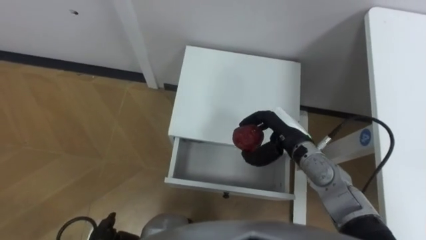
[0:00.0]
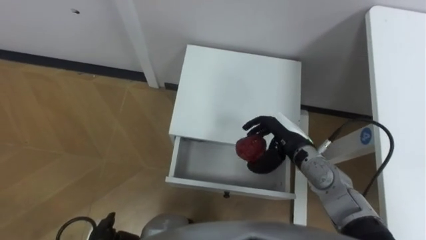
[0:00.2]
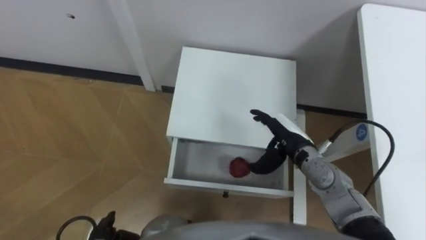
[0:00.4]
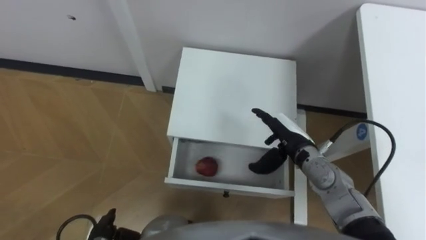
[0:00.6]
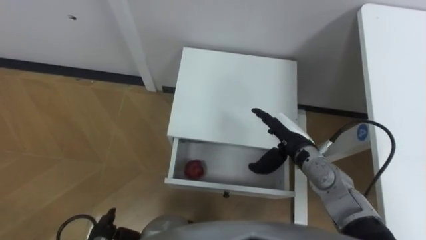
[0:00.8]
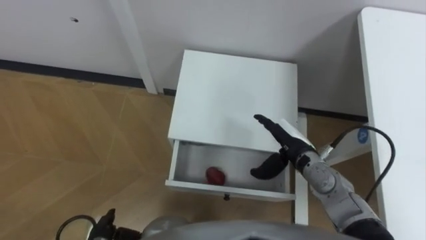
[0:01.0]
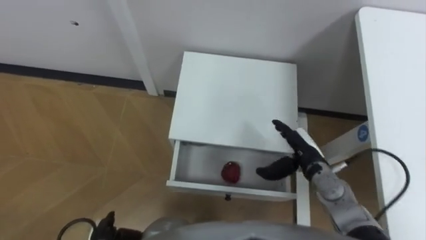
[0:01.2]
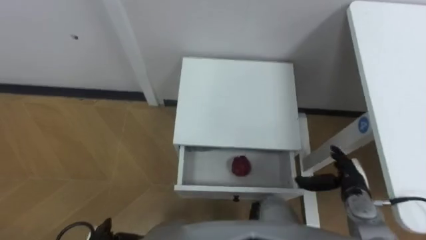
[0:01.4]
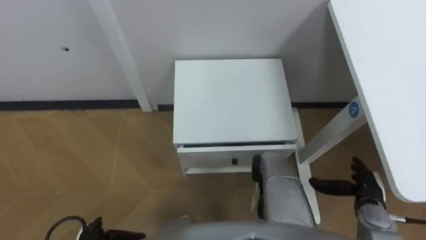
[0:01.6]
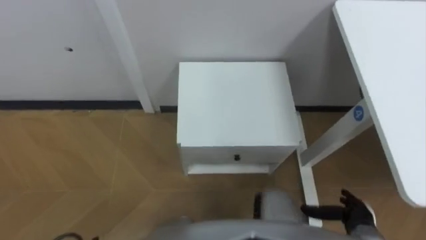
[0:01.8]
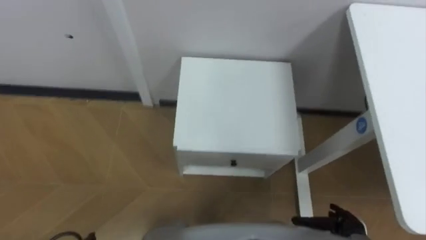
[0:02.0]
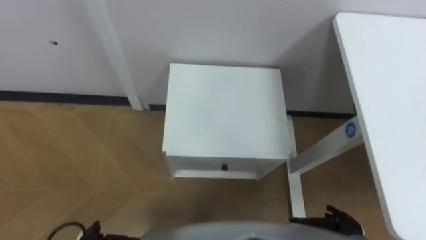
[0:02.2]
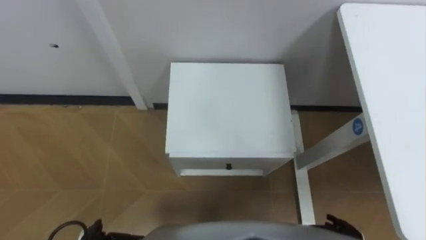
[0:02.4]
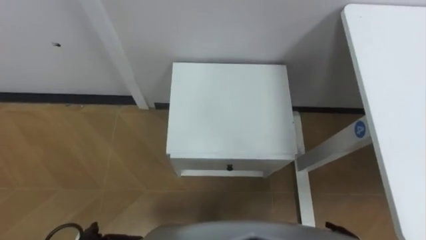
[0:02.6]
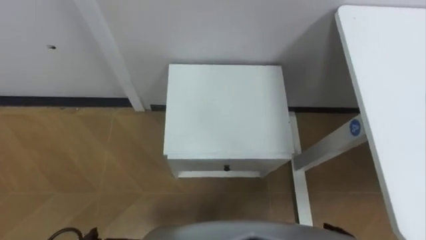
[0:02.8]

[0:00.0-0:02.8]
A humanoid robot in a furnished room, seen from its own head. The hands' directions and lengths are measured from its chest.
Task of the whole recording: Pick up the apple from the table, put it in the drawer, and close the drawer with leg.
0:00.0 to 0:01.4: The right hand shifts about 20 cm to the right, backward and downward, and opens its fingers.

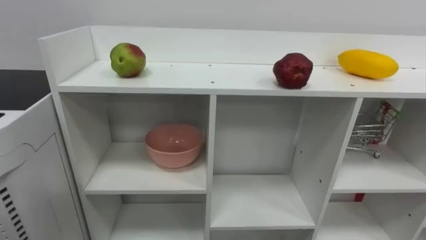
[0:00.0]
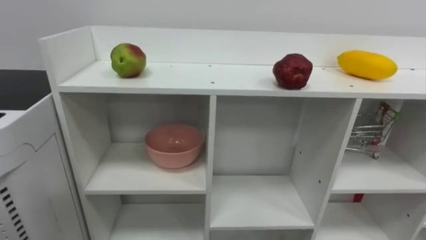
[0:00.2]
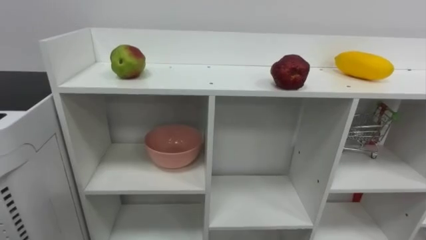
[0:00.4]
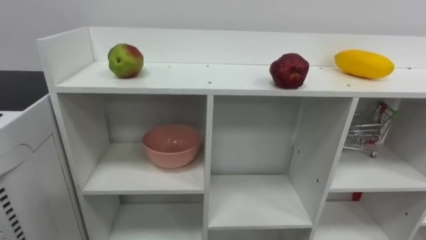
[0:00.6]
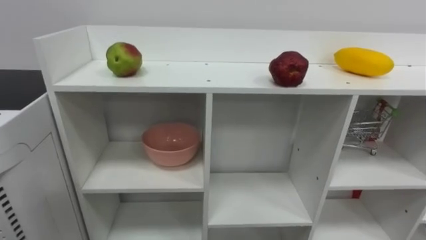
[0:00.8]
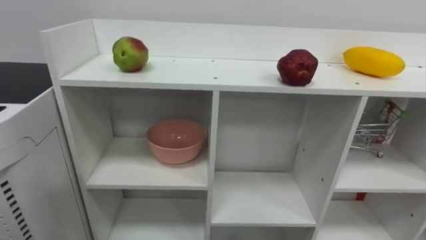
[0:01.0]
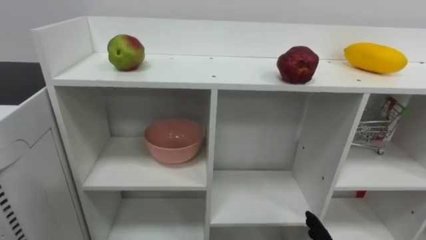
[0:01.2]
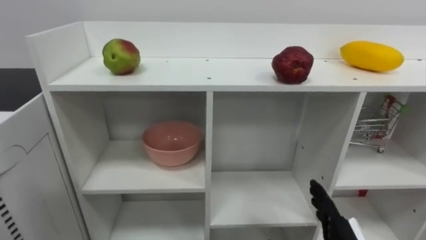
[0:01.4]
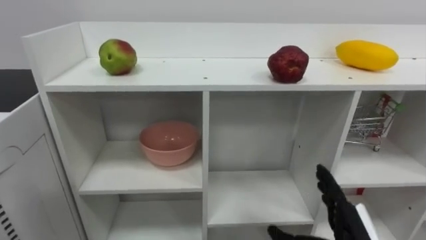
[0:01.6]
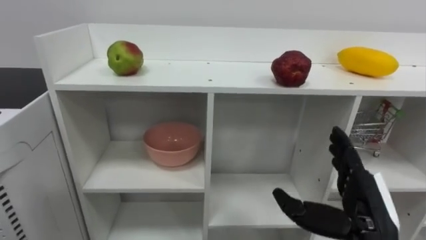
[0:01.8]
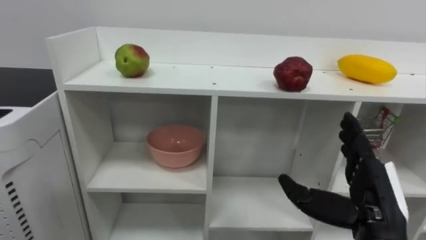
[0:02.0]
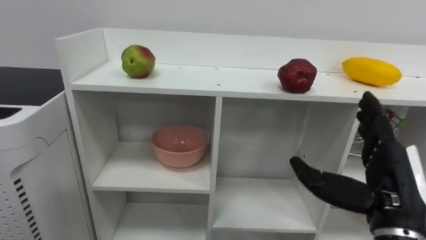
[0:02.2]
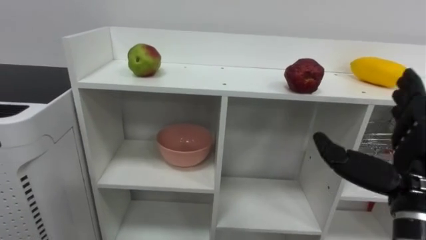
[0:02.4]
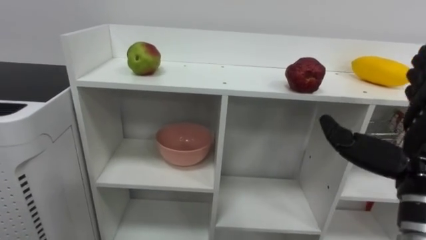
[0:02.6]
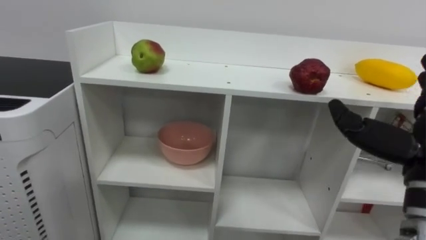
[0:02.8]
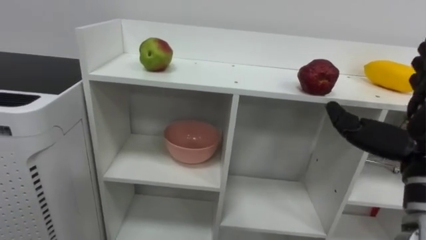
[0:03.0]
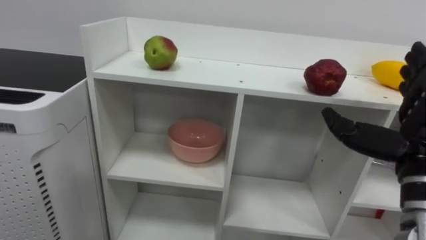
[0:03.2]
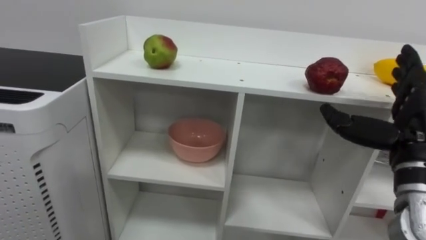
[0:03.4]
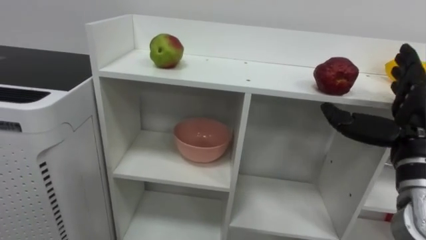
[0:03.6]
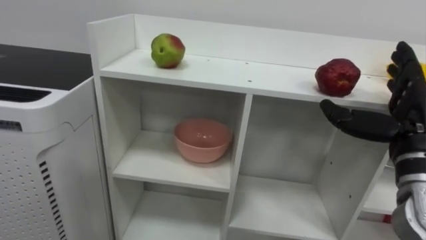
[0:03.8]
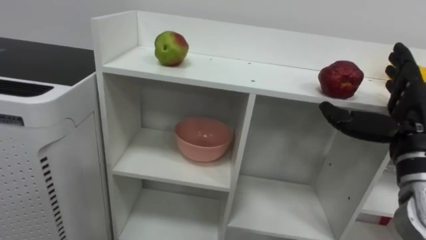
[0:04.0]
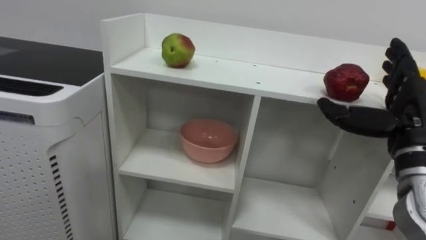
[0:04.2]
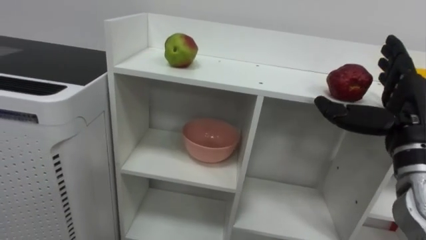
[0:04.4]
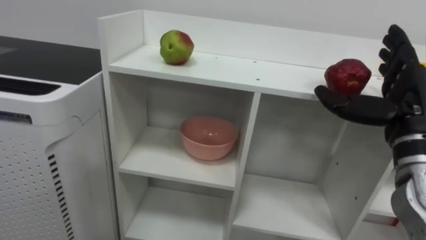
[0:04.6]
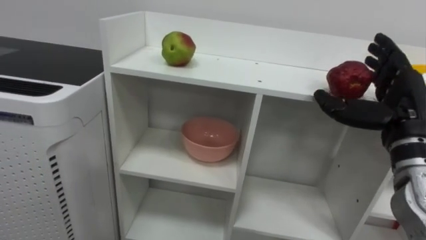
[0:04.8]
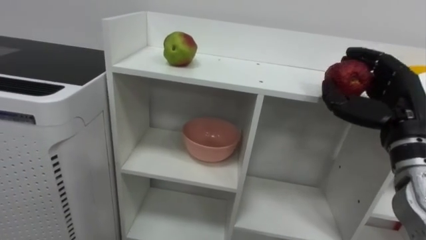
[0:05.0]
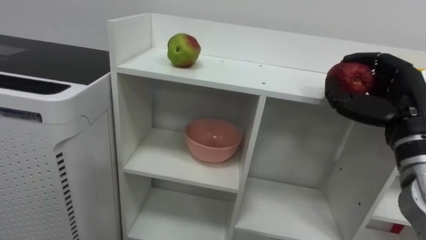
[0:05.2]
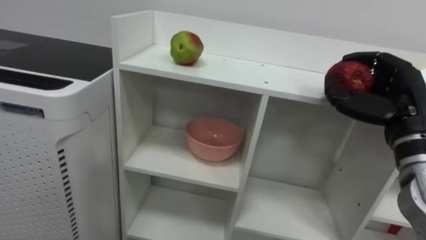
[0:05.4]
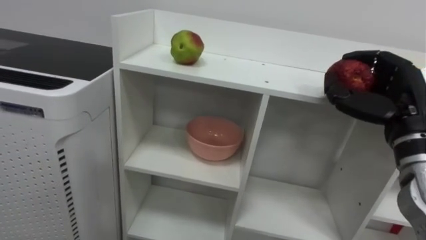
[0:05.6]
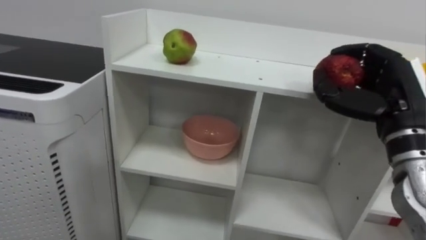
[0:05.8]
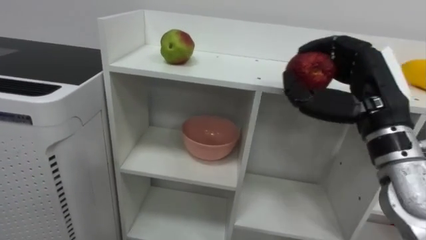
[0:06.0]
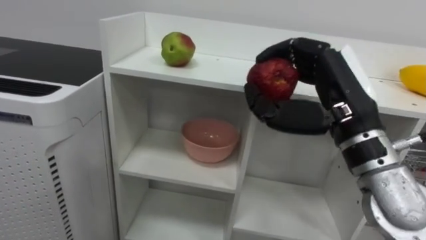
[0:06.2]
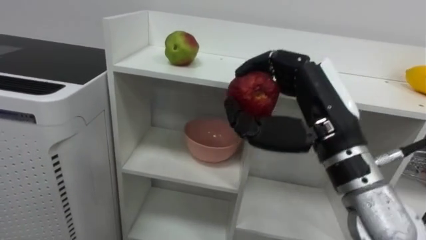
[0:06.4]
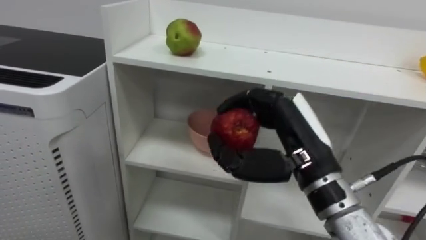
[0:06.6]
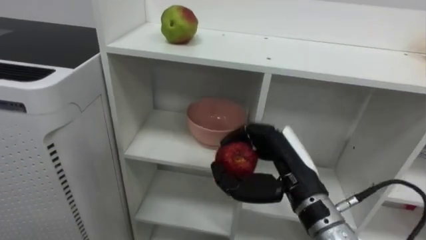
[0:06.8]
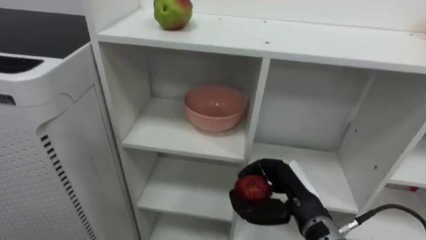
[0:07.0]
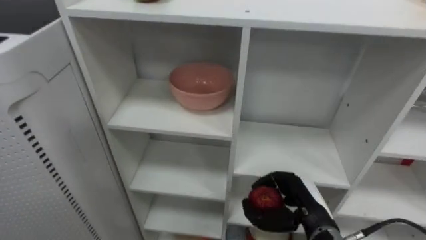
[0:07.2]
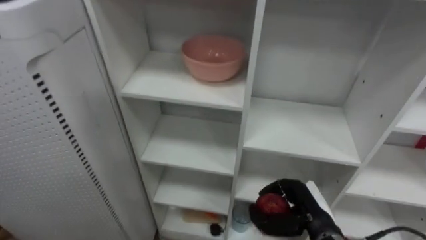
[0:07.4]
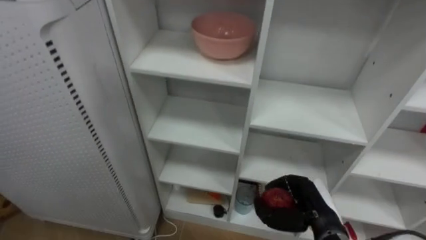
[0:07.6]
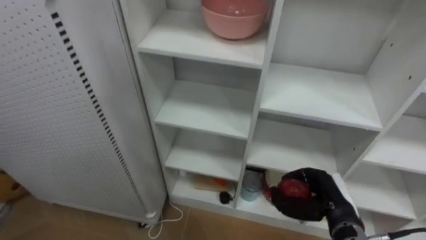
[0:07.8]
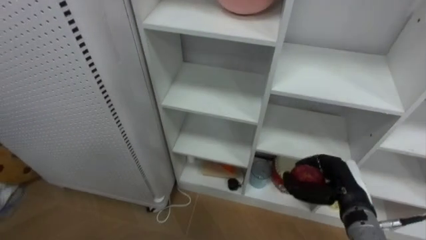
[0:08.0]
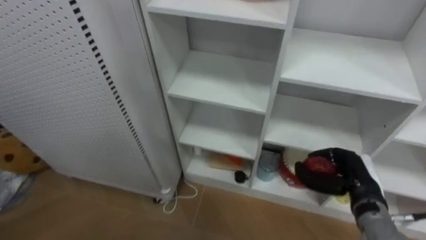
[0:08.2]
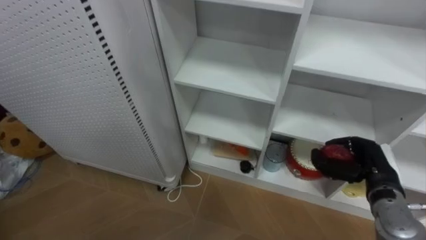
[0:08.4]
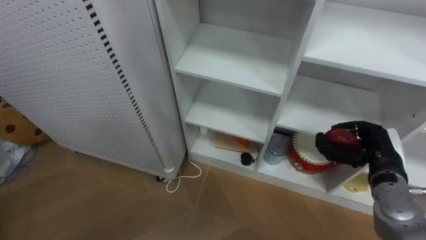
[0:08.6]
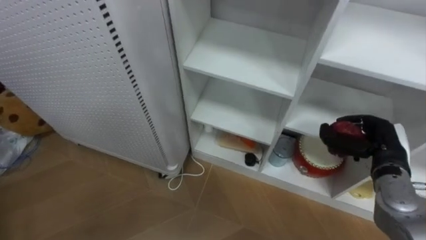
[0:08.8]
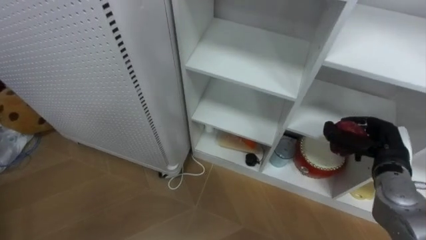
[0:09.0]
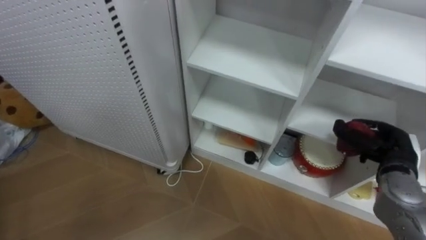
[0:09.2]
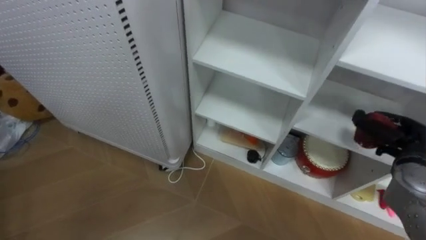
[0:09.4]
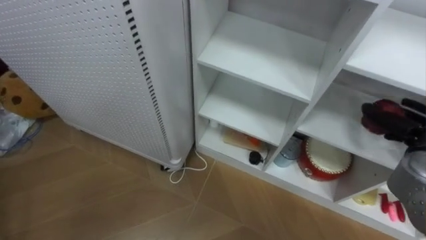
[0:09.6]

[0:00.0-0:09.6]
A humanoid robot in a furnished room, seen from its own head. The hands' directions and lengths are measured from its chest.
Task of the whole recording: Put the apple in the cell in the second column from the left and the second row from the top.
0:03.2 to 0:04.8: The right hand heads forward, covering about 5 cm.
0:04.8 to 0:06.4: The right hand shifts about 15 cm to the left, and closes its fingers.
0:06.4 to 0:08.0: The right hand is displaced downward and to the right by some 25 cm.
0:08.0 to 0:09.6: The right hand heads to the right and upward, covering about 15 cm.

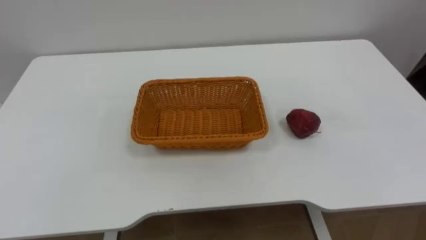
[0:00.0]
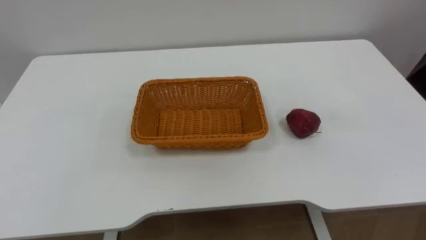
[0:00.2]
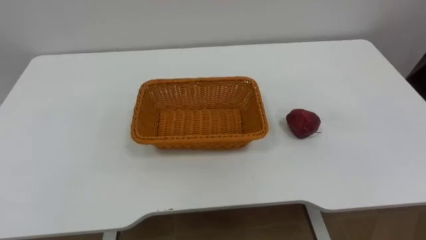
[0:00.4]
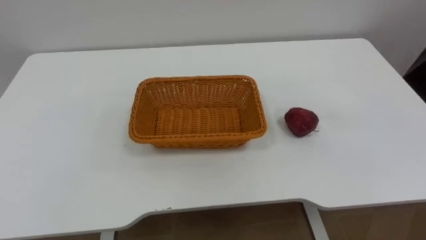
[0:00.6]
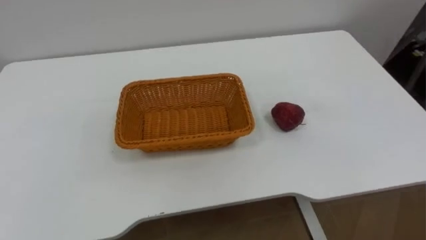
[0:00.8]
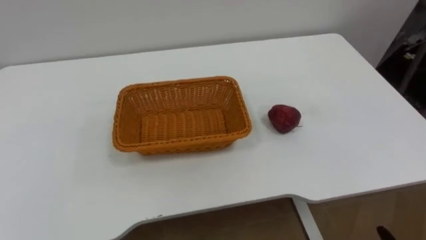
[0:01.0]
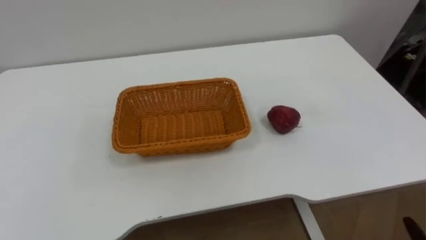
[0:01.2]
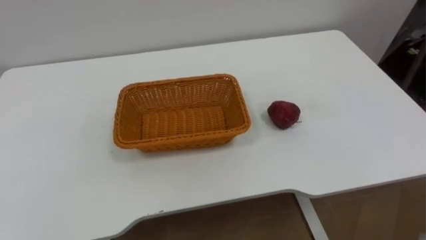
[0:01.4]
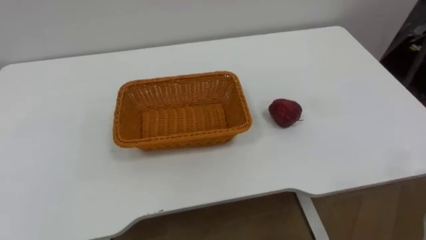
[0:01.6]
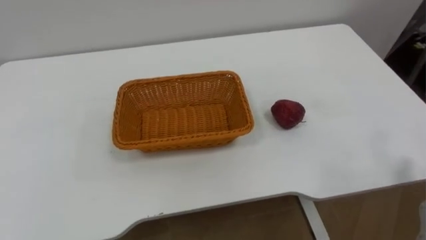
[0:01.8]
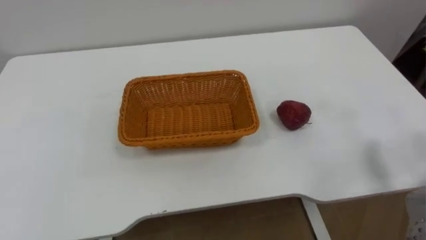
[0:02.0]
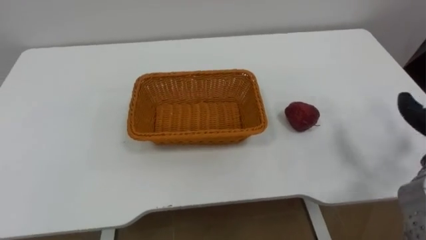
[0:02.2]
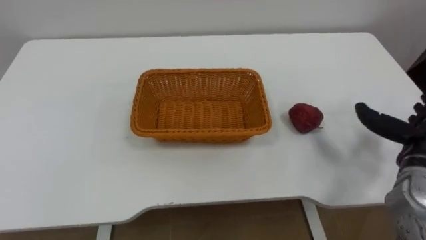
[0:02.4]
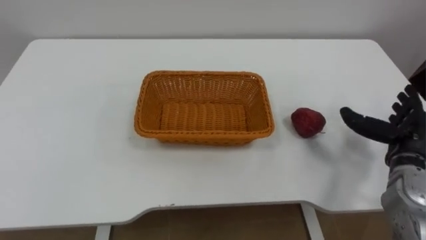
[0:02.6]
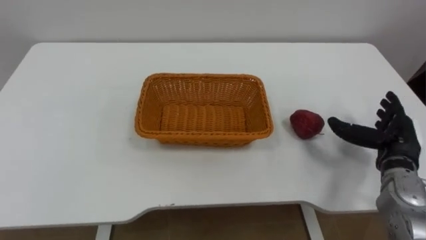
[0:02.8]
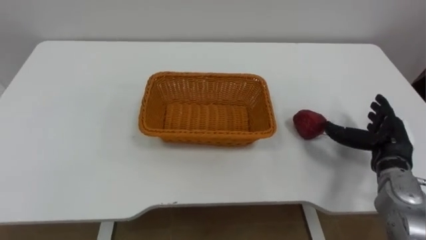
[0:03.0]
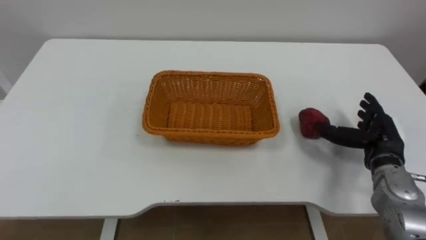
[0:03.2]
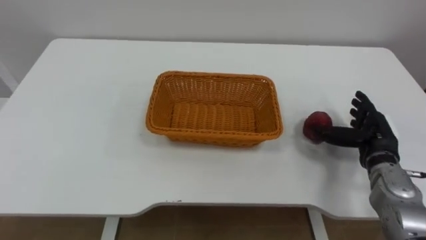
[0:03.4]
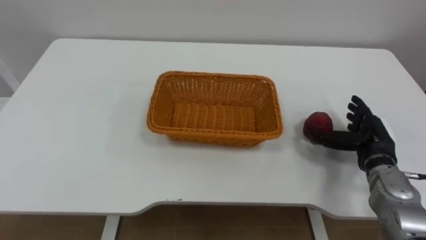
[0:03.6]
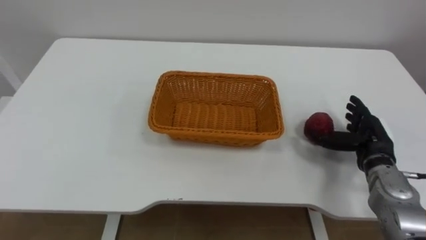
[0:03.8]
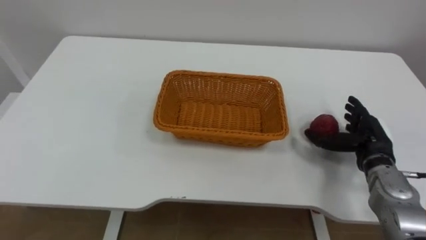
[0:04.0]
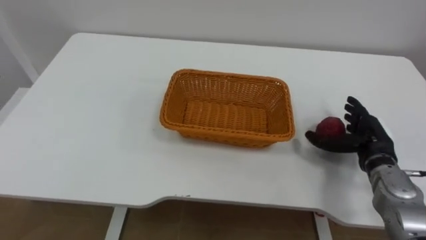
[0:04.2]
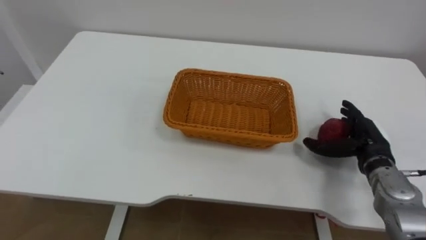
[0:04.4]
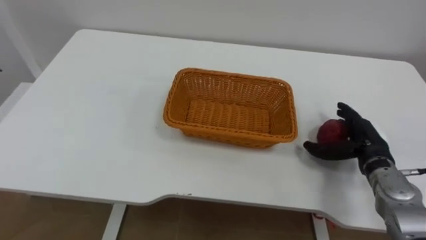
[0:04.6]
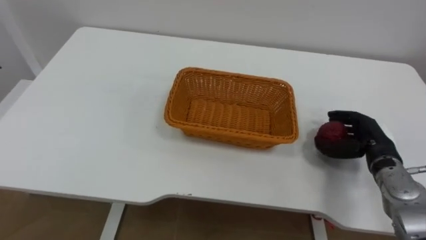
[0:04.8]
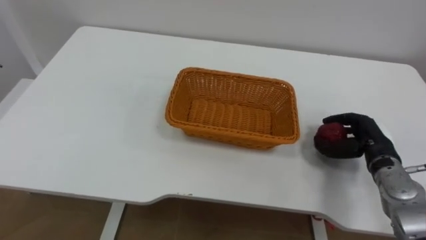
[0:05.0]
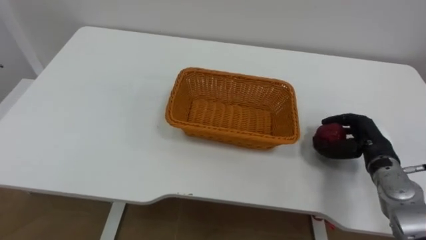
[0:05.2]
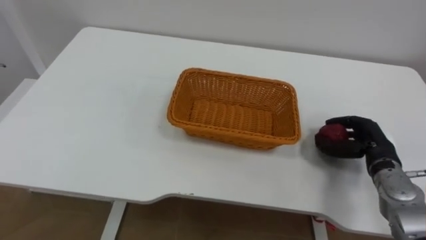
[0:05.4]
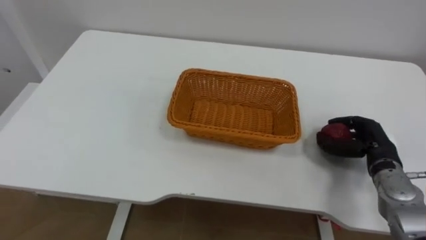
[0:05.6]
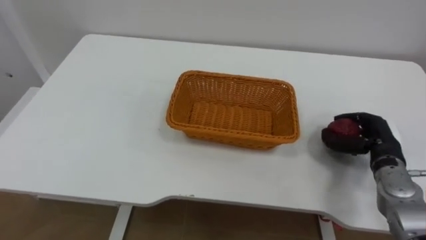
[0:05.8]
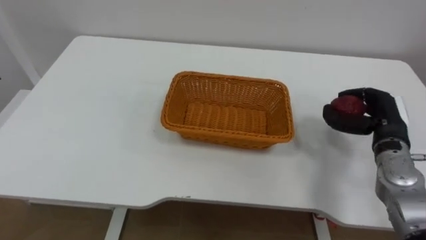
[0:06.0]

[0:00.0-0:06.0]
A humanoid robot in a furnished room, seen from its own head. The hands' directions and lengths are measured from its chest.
Task of the whole recording: Pick the apple and place it in the box.
0:04.4 to 0:06.0: The right hand closes its fingers.
